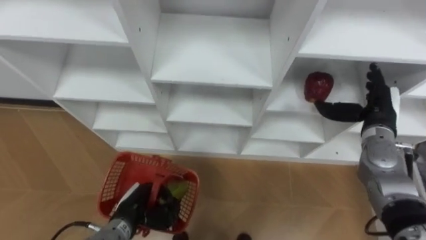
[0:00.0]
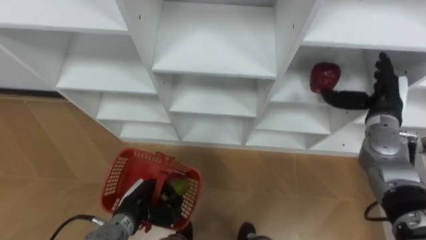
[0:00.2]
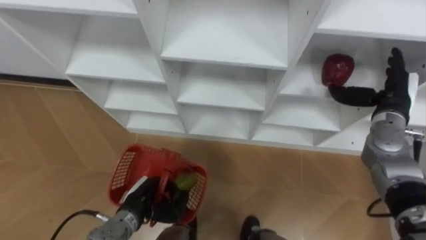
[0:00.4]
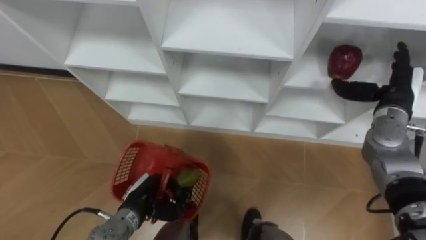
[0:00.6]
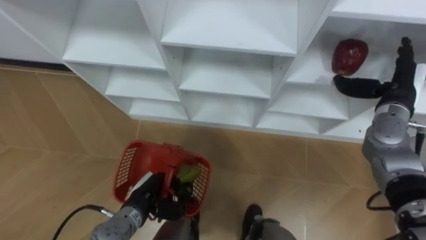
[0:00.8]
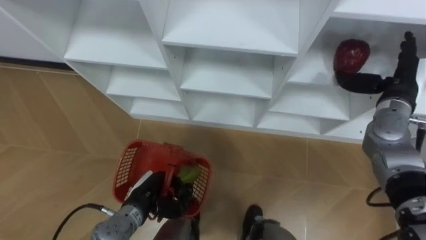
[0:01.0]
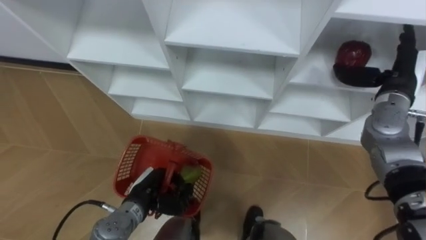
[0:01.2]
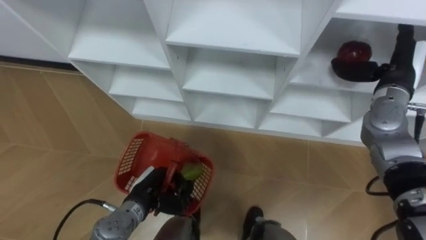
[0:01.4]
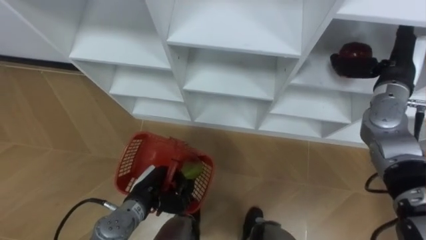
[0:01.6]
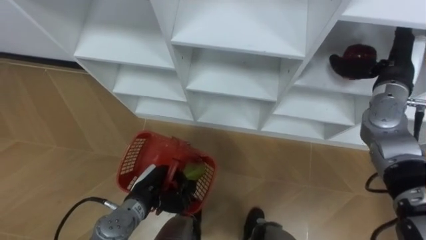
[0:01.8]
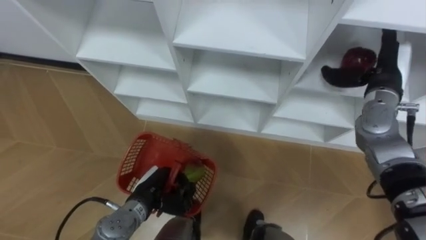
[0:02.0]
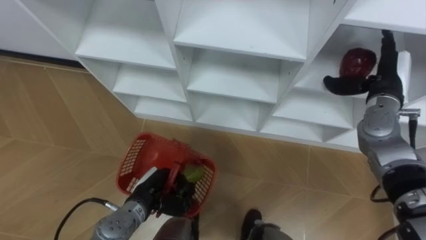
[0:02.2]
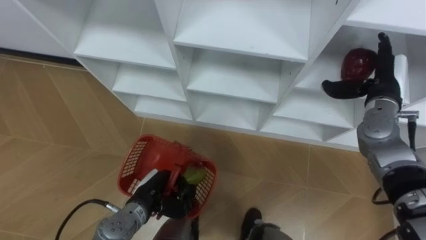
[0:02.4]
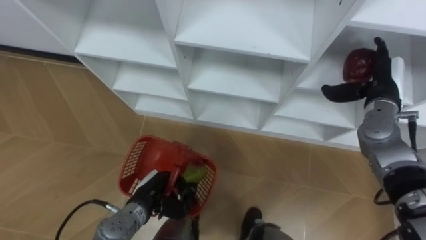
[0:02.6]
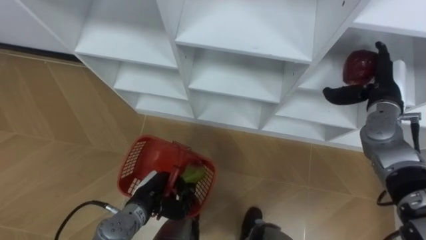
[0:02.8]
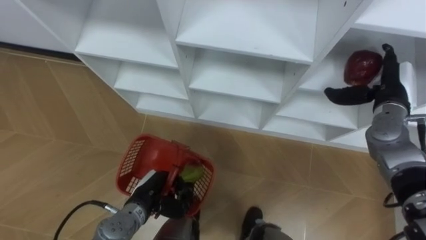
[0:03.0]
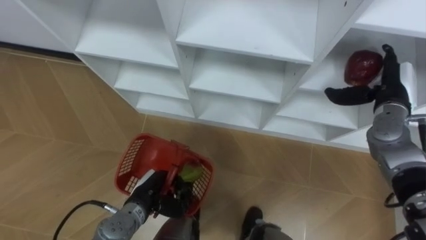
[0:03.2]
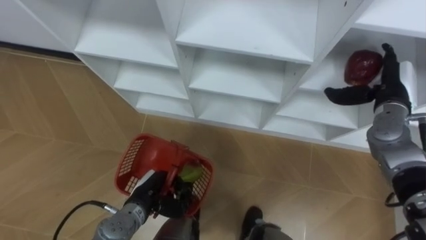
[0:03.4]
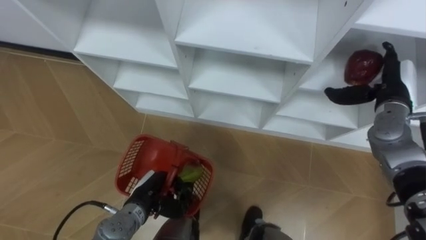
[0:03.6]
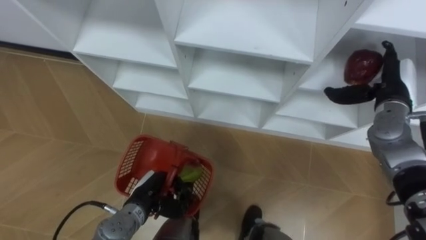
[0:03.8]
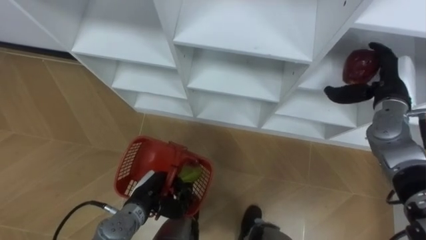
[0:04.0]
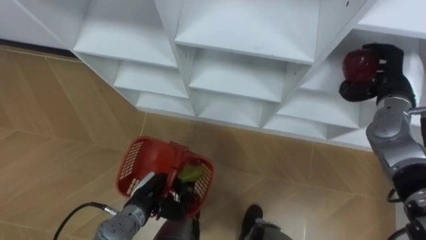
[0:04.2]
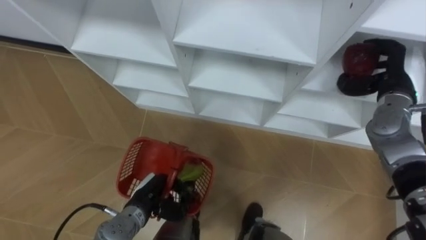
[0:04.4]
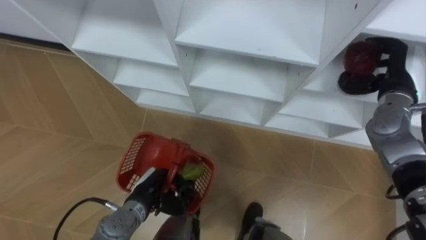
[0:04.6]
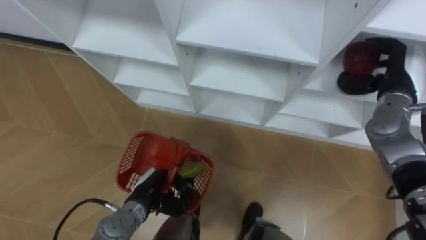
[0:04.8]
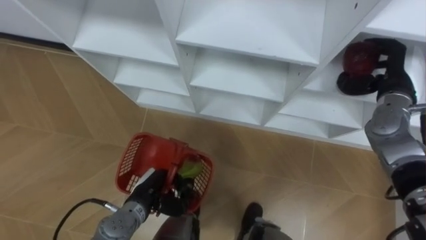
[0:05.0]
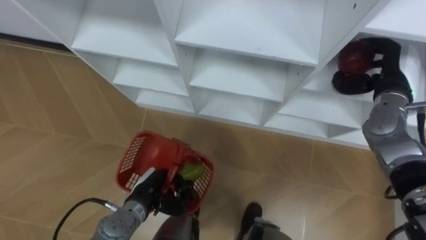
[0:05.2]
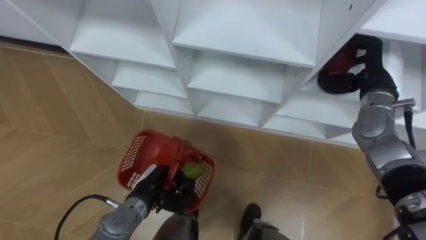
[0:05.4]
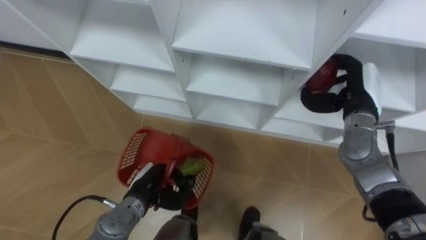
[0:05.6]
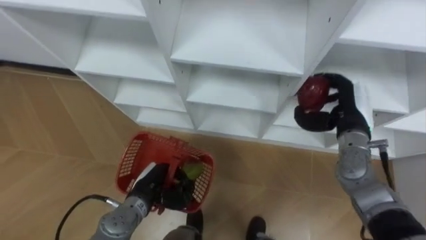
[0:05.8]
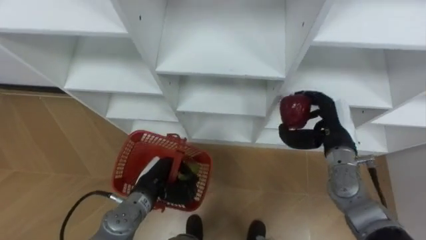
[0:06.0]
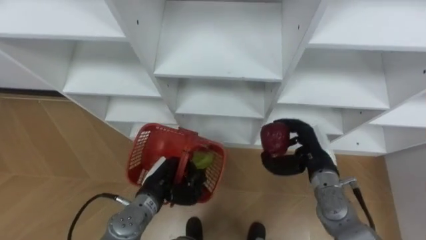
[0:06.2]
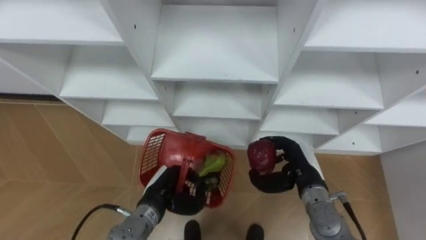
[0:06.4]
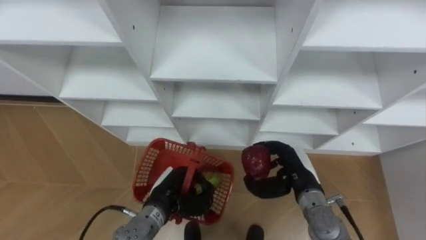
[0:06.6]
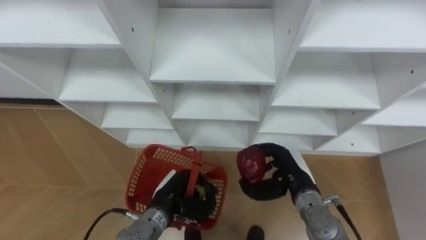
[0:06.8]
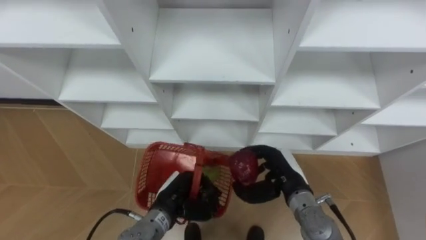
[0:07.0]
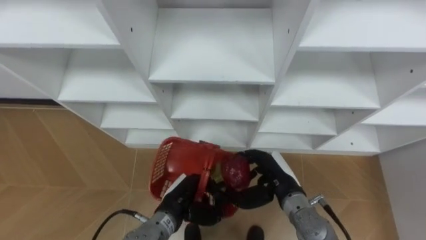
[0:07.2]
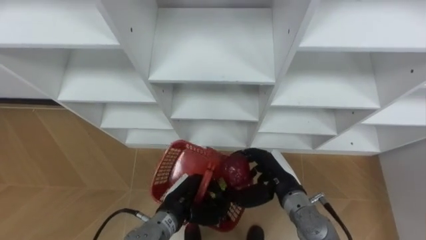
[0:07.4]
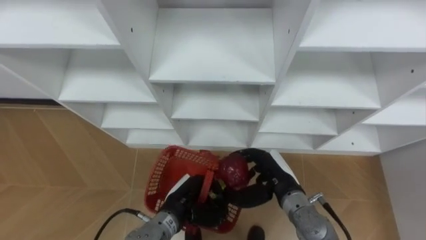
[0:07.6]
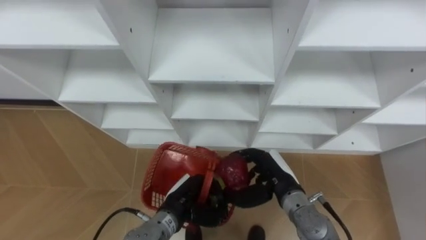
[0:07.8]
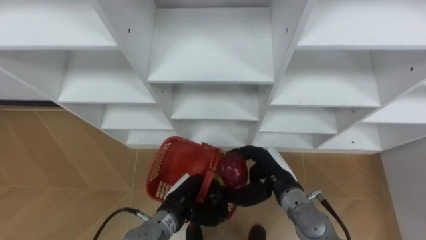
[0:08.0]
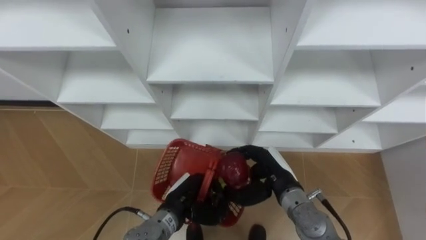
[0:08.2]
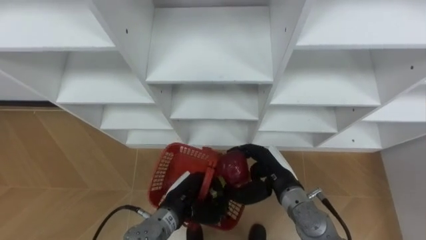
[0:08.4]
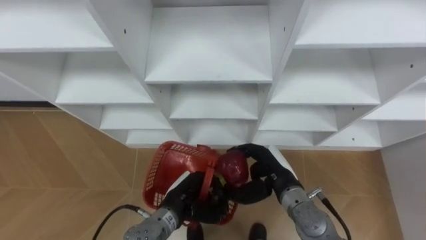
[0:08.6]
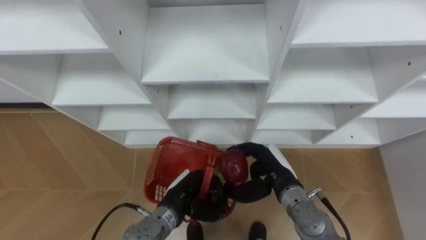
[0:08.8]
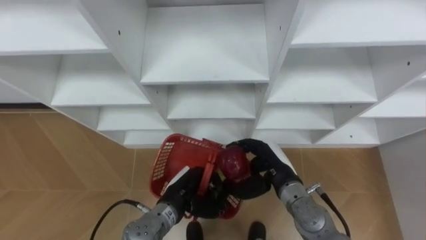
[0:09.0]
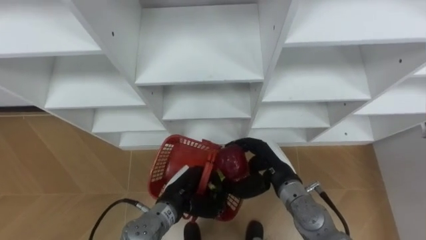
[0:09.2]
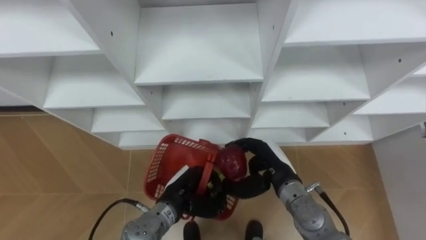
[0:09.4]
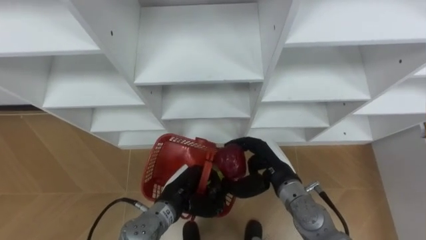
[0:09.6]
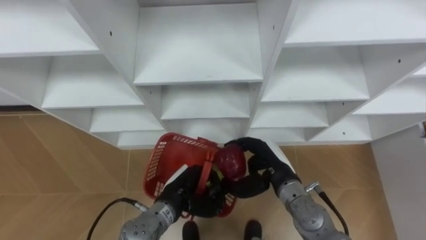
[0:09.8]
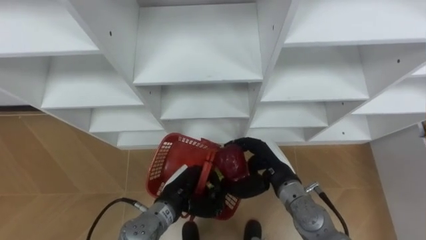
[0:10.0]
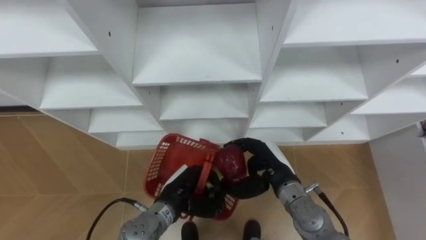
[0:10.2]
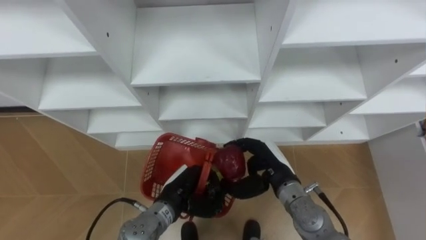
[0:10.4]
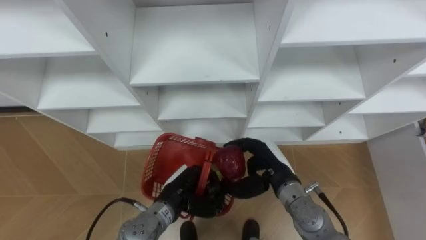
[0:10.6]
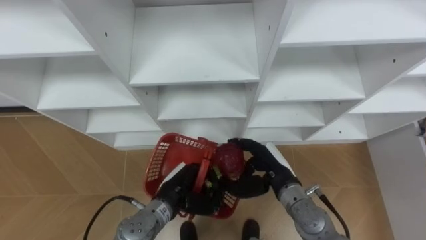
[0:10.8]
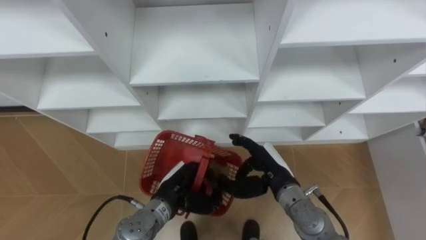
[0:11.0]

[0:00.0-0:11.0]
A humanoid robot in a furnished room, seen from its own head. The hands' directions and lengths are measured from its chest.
Task of the whole recording: Hold the basket and collect the fruits from 3 different cells of the closet into it.
0:00.0 to 0:01.6: The right hand goes some 10 cm upward.
0:01.6 to 0:03.2: The right hand heads downward, covering roughly 5 cm.
0:03.2 to 0:04.8: The right hand closes its fingers.
0:04.8 to 0:06.2: The right hand heads to the left, downward and backward, covering approximately 20 cm.
0:06.2 to 0:07.8: The left hand goes roughly 5 cm to the right. Meanwhile the right hand is displaced to the left by roughly 10 cm.
0:09.4 to 0:11.0: The two hands keep their place.

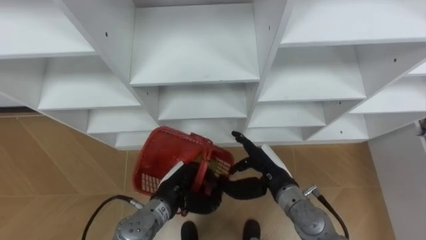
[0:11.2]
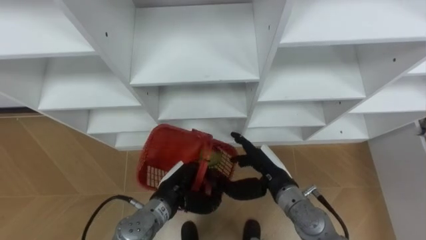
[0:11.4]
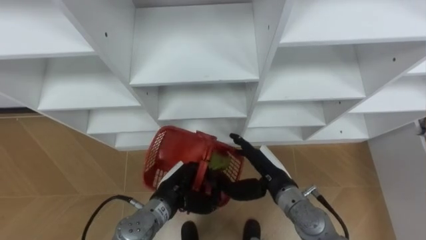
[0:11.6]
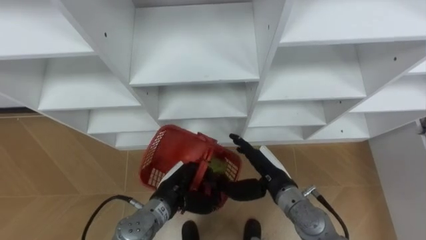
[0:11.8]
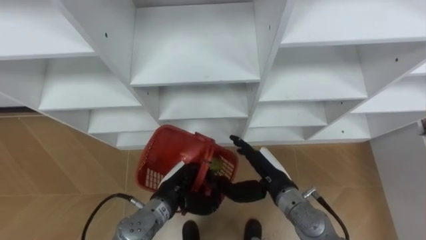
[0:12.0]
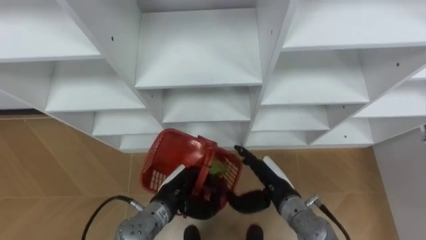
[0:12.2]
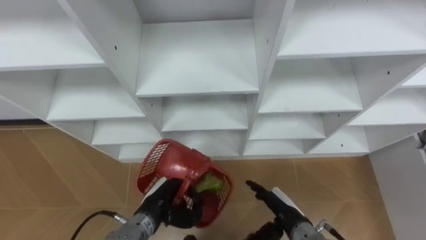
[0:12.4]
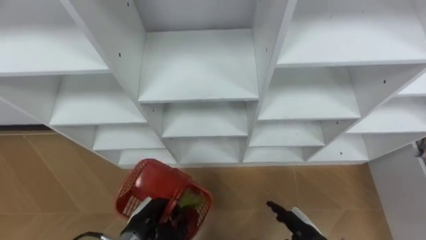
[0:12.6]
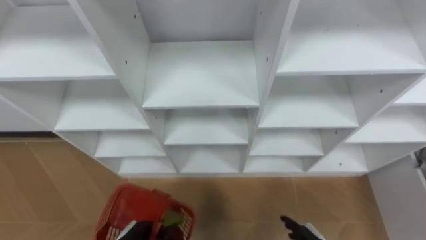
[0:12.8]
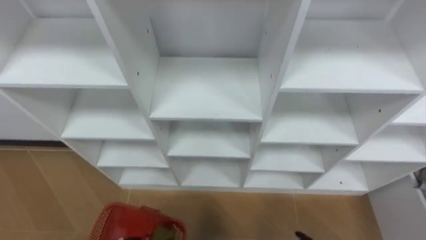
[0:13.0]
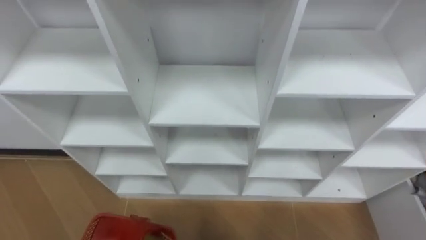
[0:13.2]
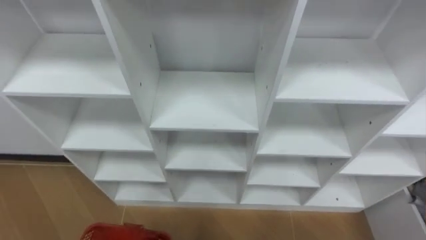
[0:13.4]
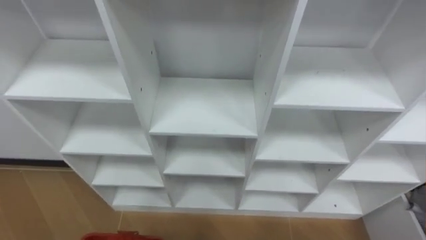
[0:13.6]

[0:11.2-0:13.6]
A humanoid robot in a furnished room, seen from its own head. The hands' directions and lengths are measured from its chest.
Task of the whole recording: Hold the basket and collect the fruits from 3 different cells of the closet into it.
0:11.2 to 0:12.4: The left hand shifts by approximately 5 cm, while the right hand travels downward and backward by approximately 10 cm.

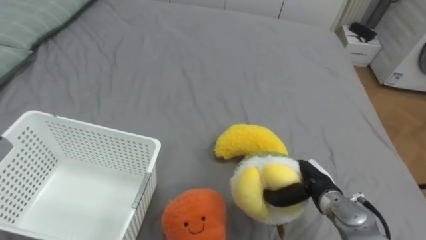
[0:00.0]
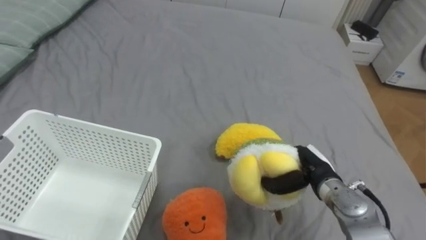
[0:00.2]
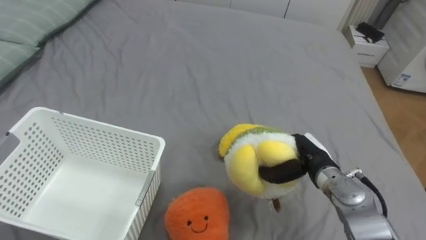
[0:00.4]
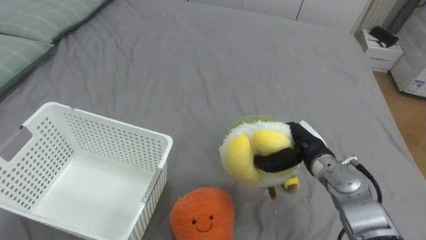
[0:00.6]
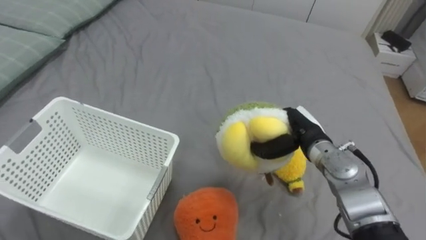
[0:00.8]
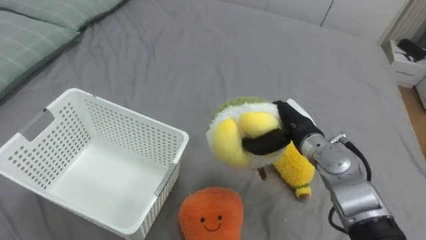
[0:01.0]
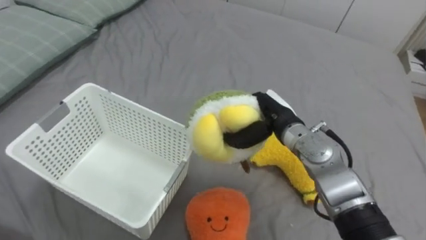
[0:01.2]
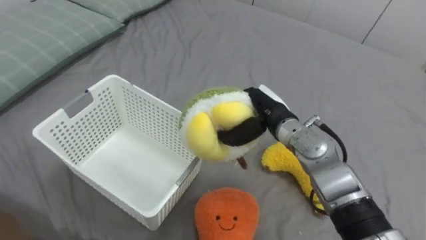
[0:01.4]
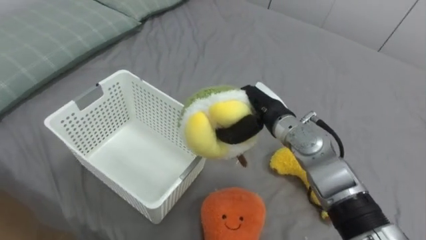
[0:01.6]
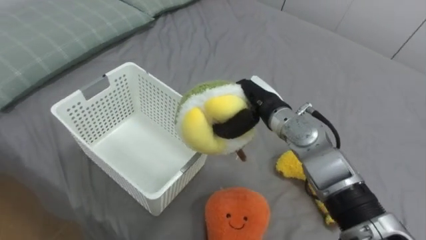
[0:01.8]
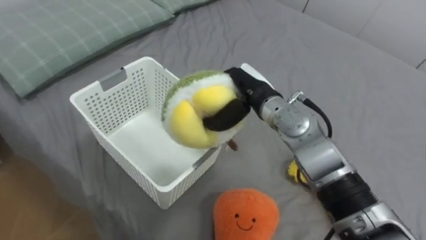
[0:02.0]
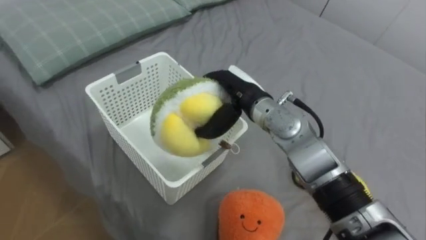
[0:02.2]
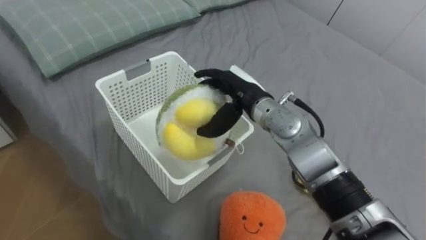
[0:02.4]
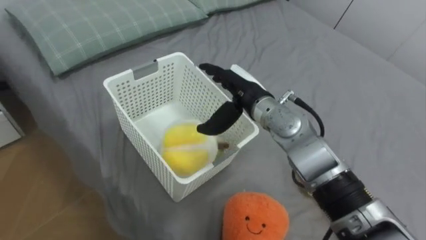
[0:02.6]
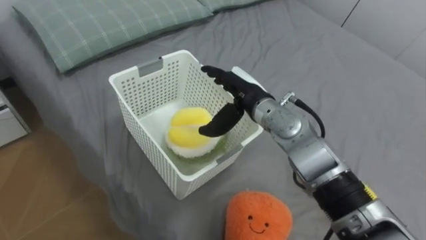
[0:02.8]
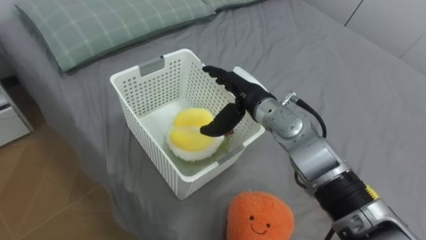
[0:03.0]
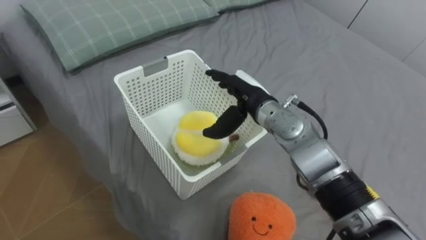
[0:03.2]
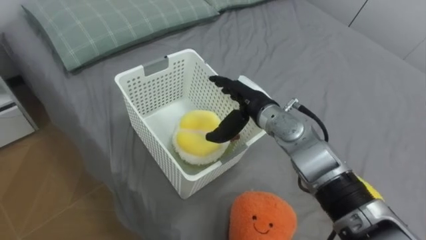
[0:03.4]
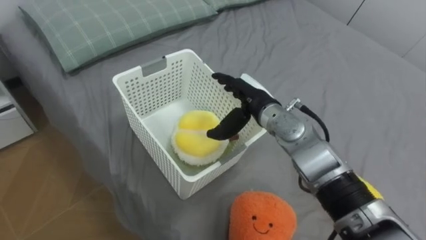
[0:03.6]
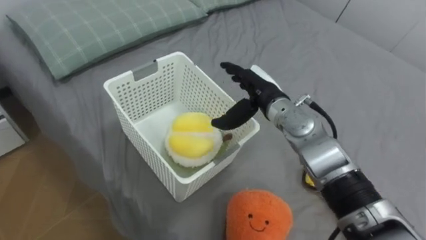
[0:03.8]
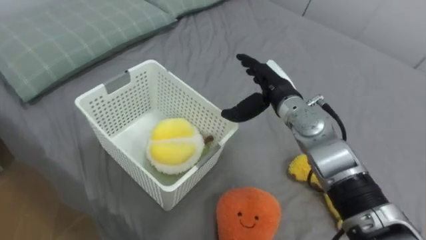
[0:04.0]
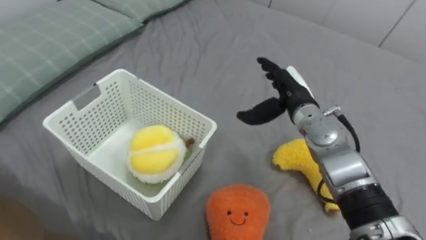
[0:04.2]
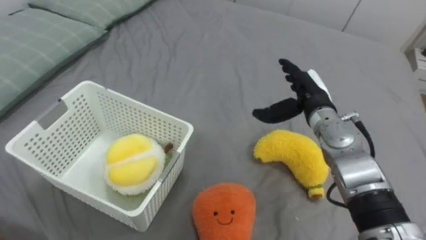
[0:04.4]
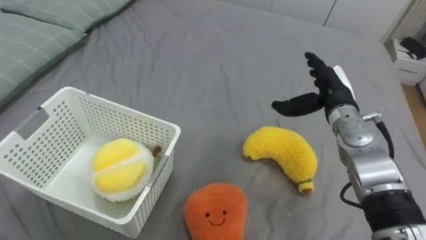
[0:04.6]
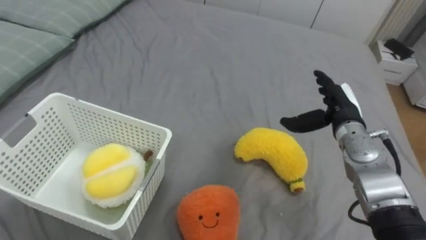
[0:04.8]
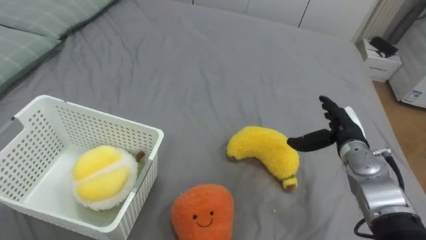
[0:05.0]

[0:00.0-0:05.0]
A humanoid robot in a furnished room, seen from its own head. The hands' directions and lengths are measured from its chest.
Task of the whole recording: Put the toys on the bed into the basket on the left.
0:00.0 to 0:01.6: The right hand goes about 20 cm upward, to the left and forward.
0:01.6 to 0:03.4: The right hand opens its fingers.
0:03.4 to 0:05.0: The right hand shifts roughly 20 cm to the right.
